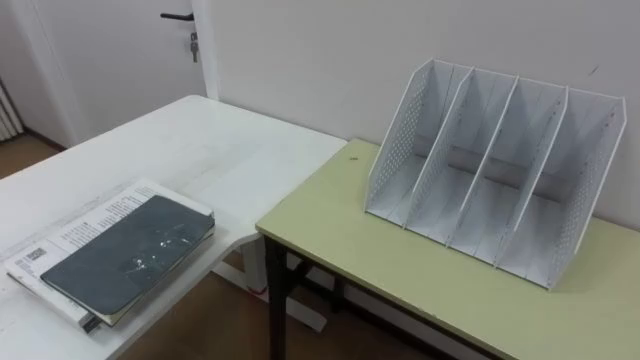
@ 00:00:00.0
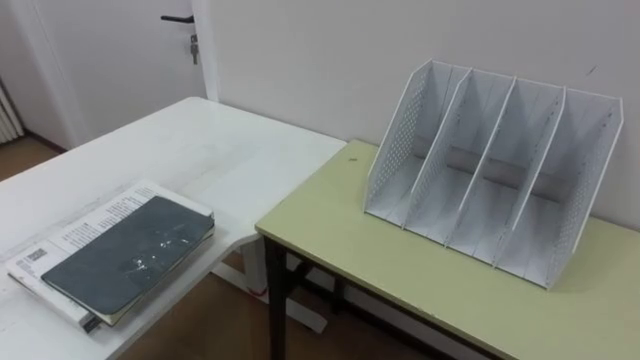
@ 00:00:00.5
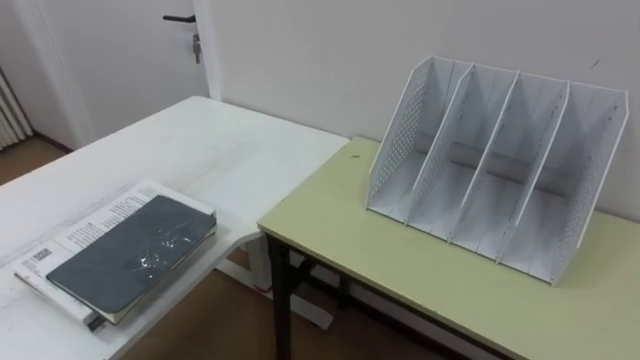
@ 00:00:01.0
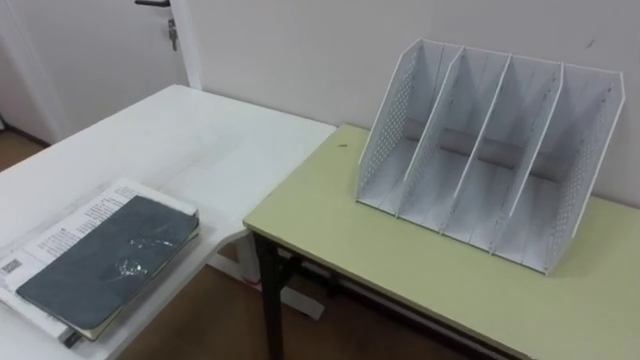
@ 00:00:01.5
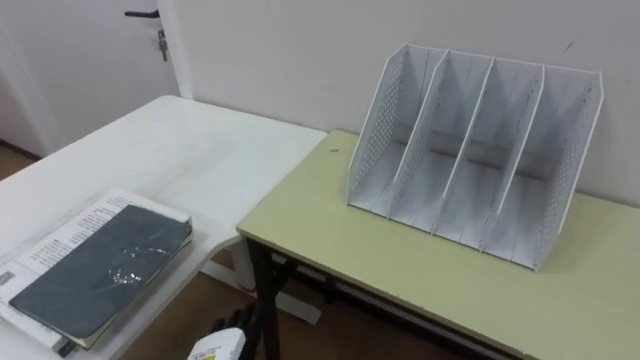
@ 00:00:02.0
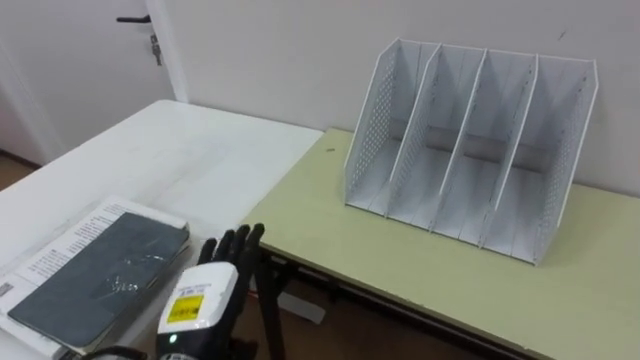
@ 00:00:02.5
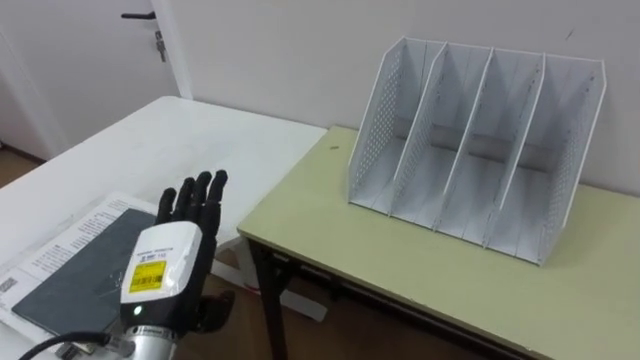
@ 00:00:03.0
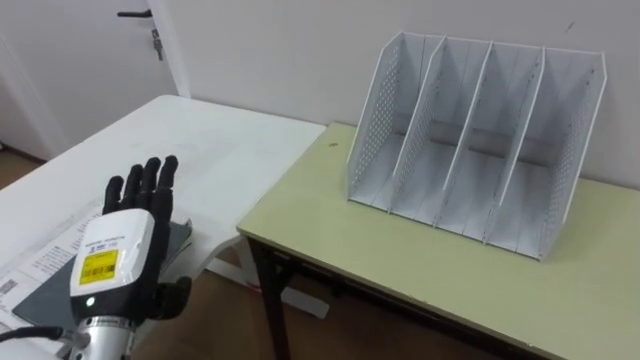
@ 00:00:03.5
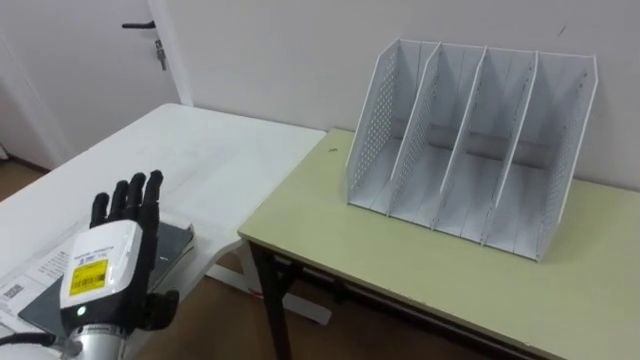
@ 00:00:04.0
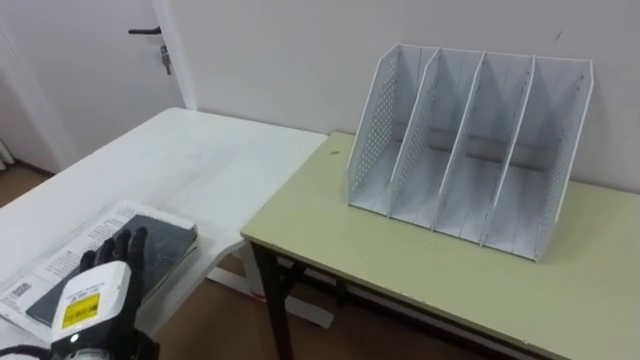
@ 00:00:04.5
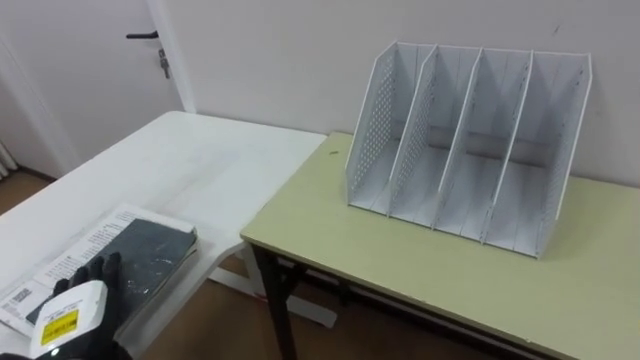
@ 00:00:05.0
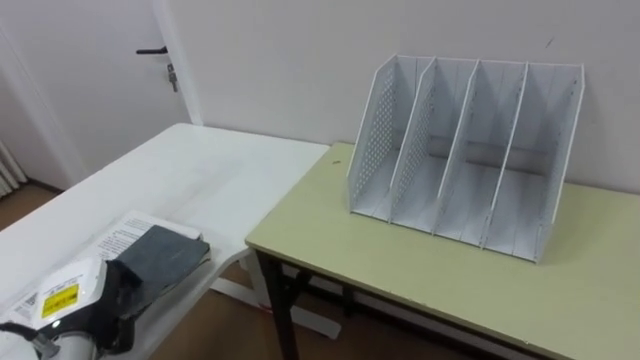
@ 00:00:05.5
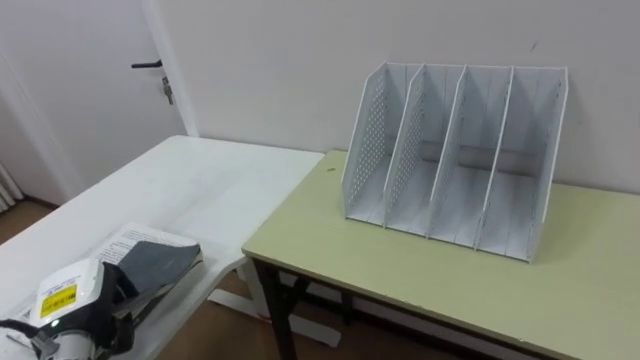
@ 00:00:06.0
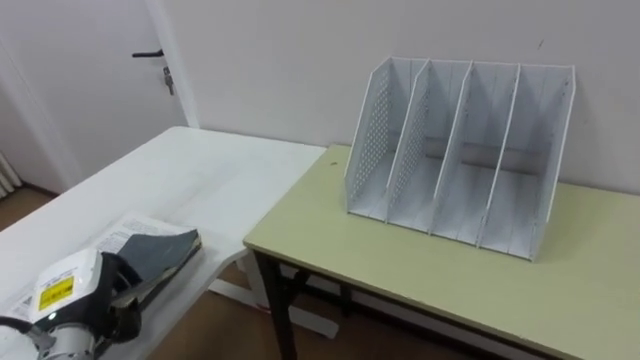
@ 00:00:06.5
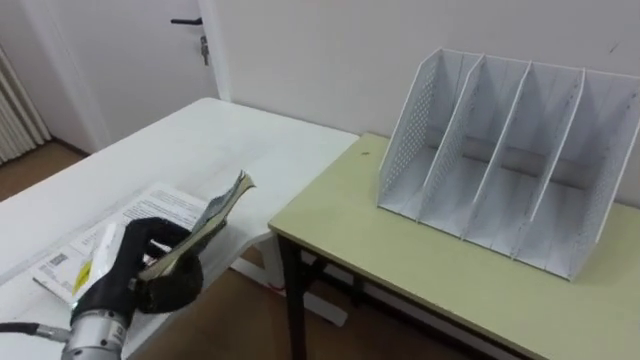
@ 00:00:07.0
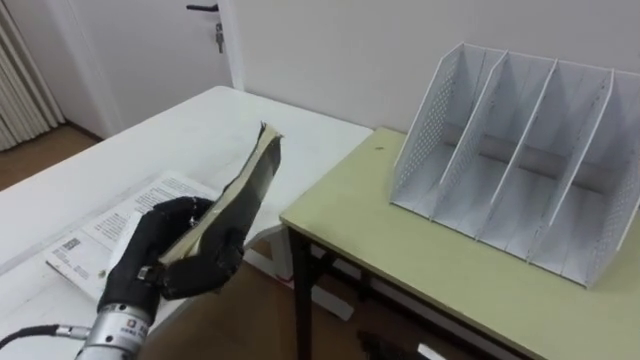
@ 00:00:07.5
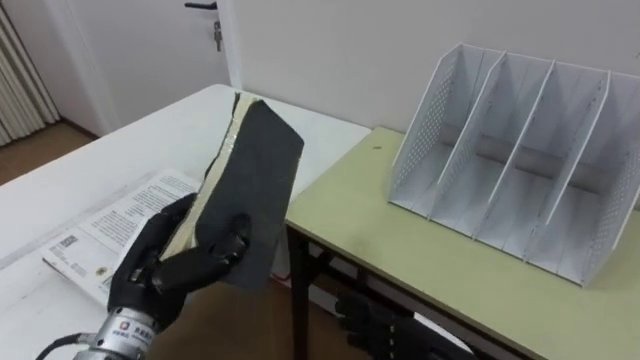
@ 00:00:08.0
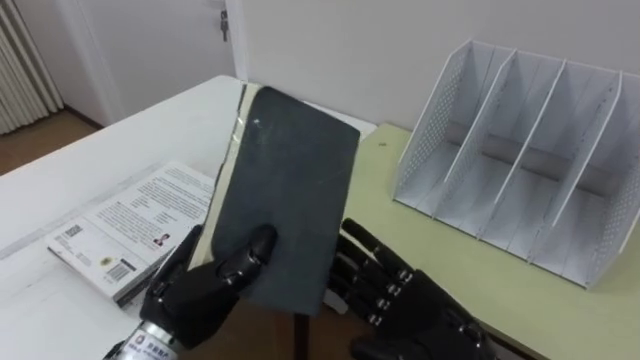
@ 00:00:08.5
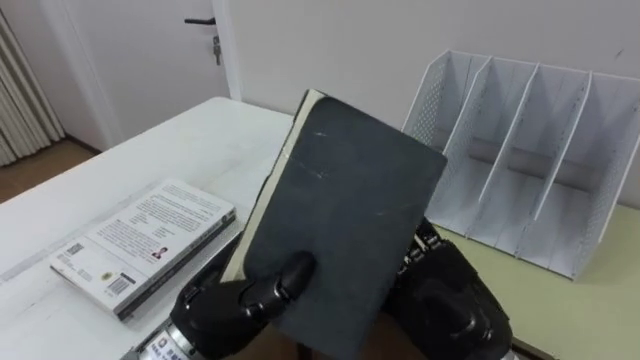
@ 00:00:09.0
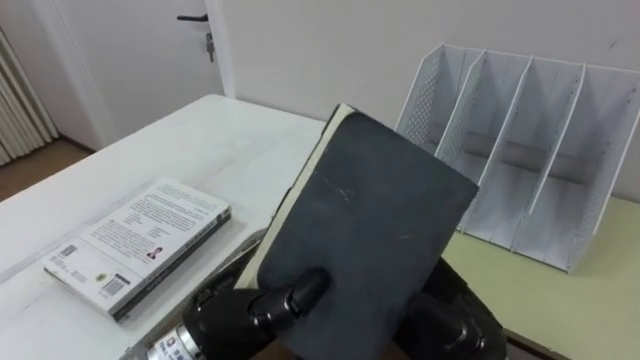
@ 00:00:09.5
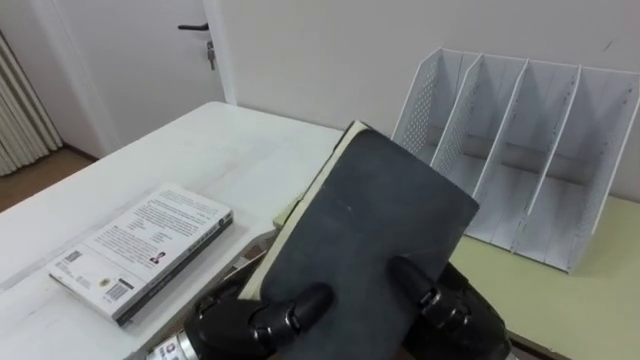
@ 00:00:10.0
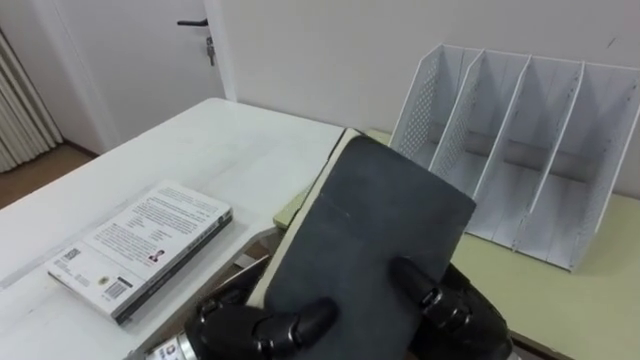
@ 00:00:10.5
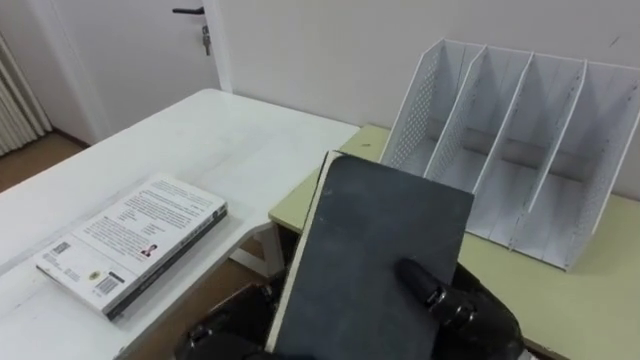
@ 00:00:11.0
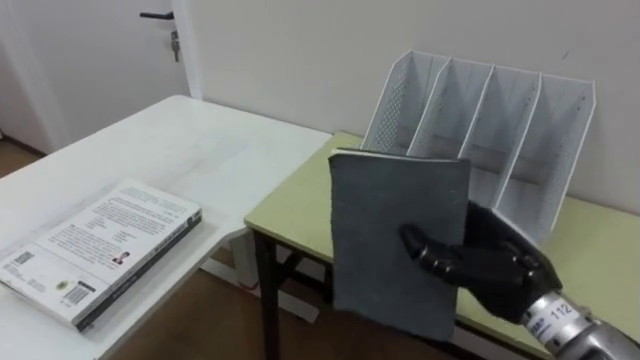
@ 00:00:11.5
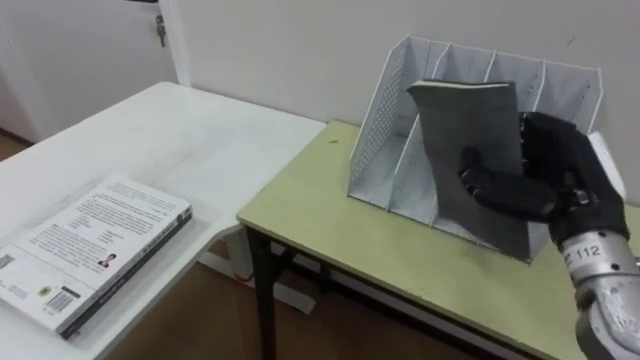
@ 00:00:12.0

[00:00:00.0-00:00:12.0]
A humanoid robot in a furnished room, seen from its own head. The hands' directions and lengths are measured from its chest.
Task of the whole recording: Put the books on the table onto the bookshelf.
00:00:02.0 to 00:00:04.0: The left hand moves upward and to the left, some 15 cm.
00:00:04.0 to 00:00:06.0: The left hand is displaced downward and to the left by about 10 cm, and closes its fingers.
00:00:06.0 to 00:00:08.0: The left hand travels to the right and upward by roughly 15 cm.
00:00:08.0 to 00:00:10.0: The right hand travels upward by some 10 cm, and closes its fingers; the left hand goes roughly 10 cm to the right.
00:00:10.0 to 00:00:12.0: The right hand travels to the right, forward and upward by some 15 cm.

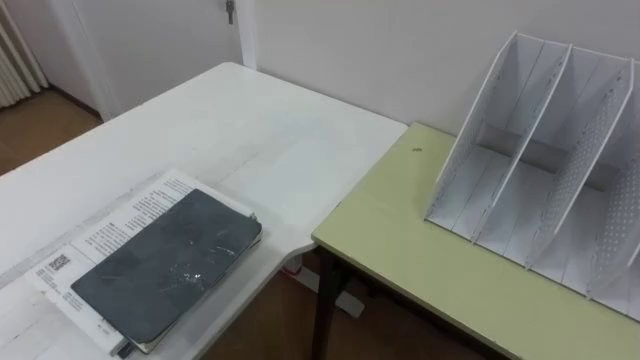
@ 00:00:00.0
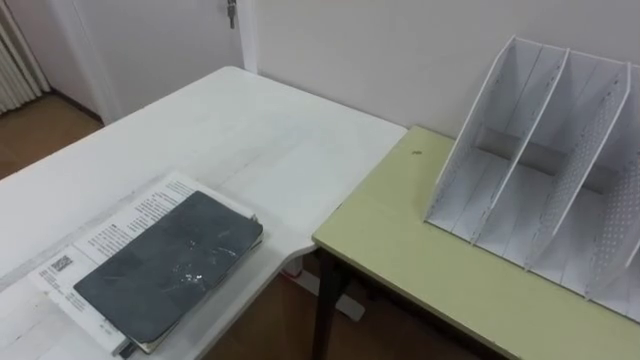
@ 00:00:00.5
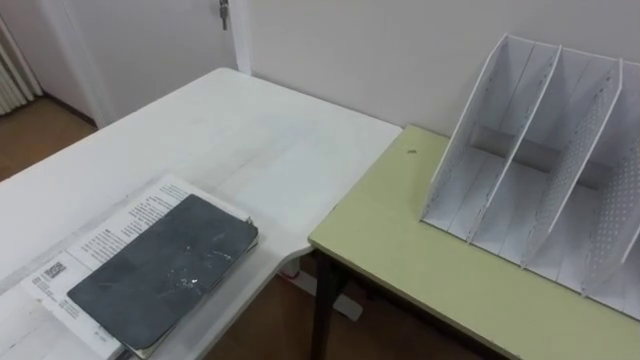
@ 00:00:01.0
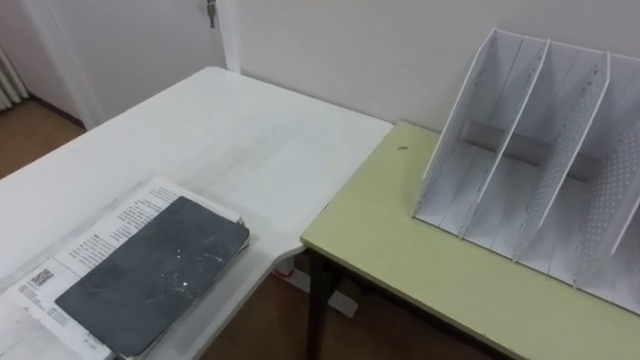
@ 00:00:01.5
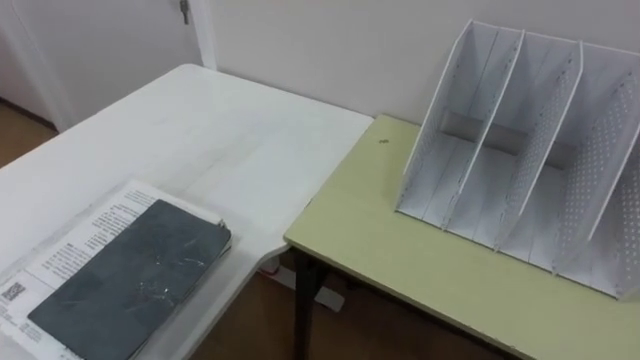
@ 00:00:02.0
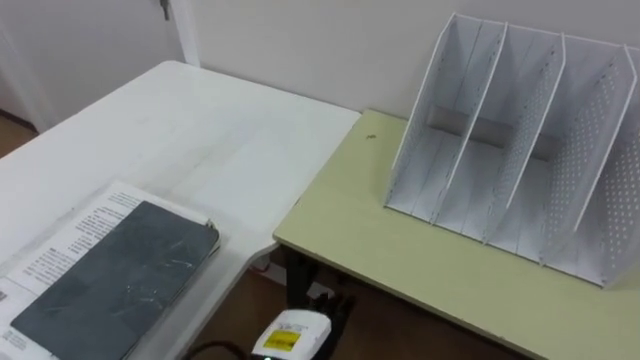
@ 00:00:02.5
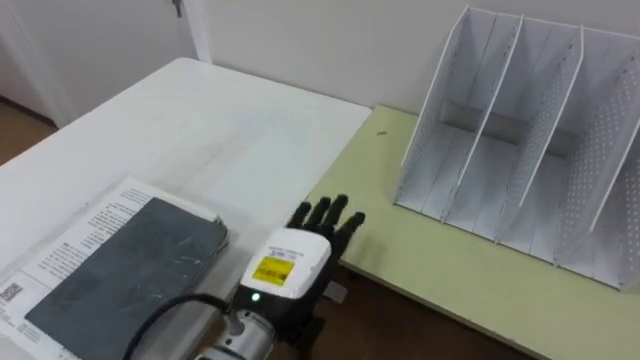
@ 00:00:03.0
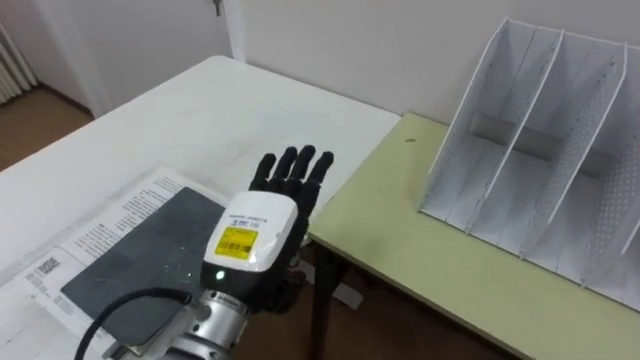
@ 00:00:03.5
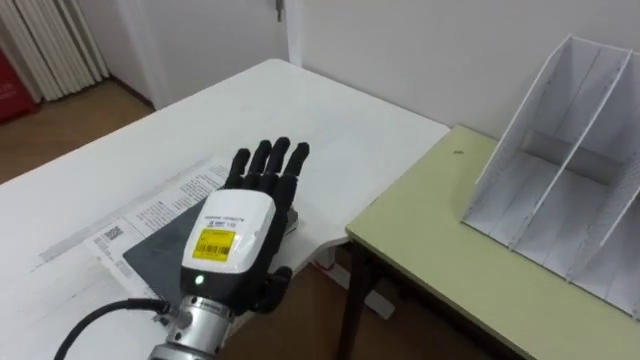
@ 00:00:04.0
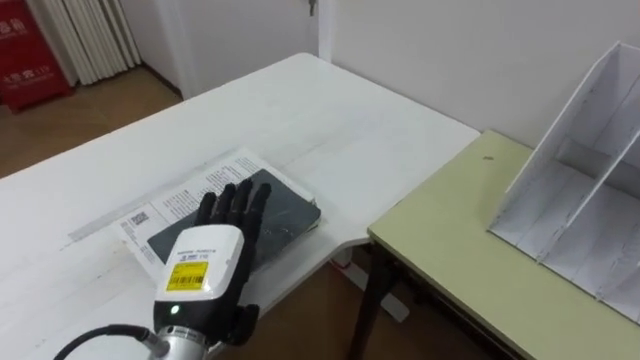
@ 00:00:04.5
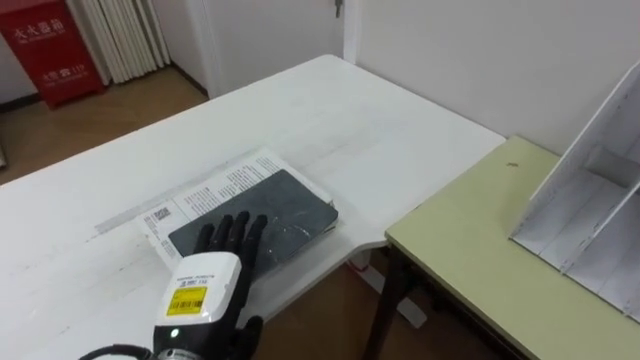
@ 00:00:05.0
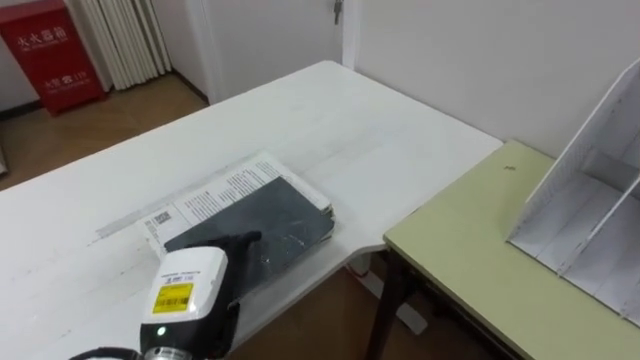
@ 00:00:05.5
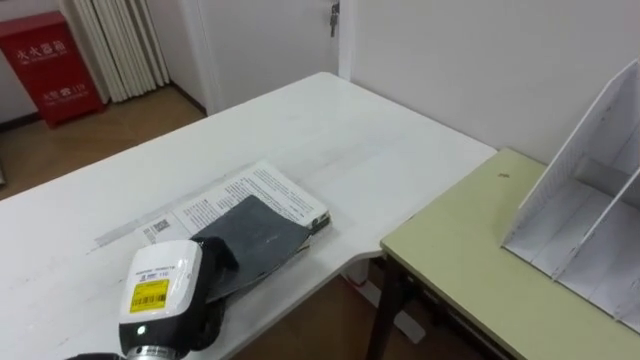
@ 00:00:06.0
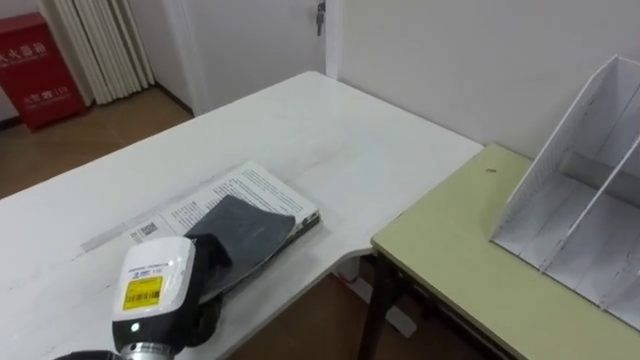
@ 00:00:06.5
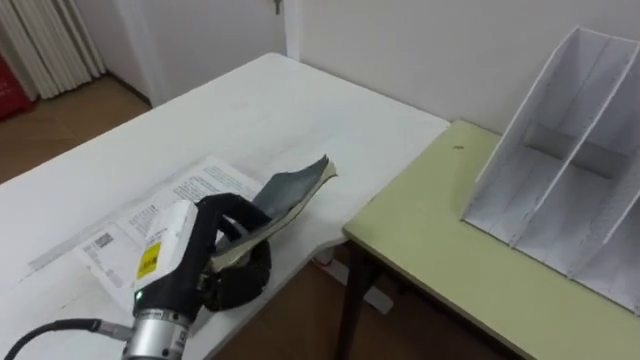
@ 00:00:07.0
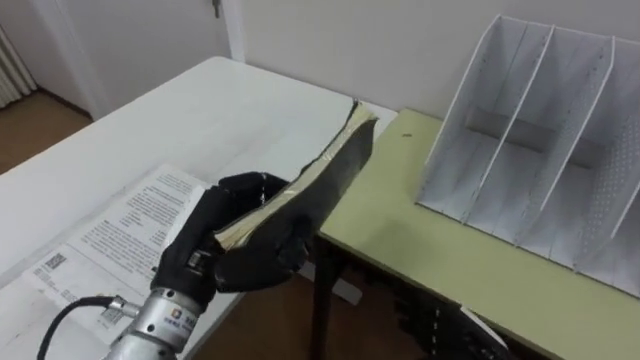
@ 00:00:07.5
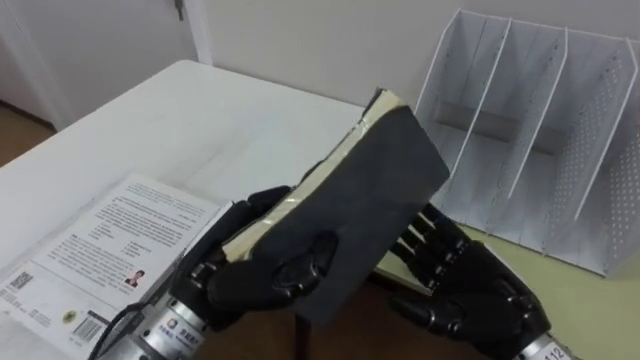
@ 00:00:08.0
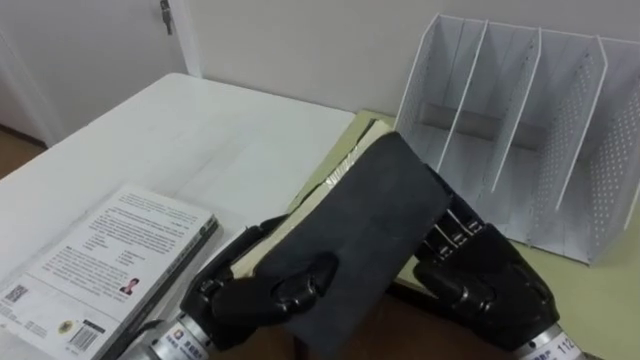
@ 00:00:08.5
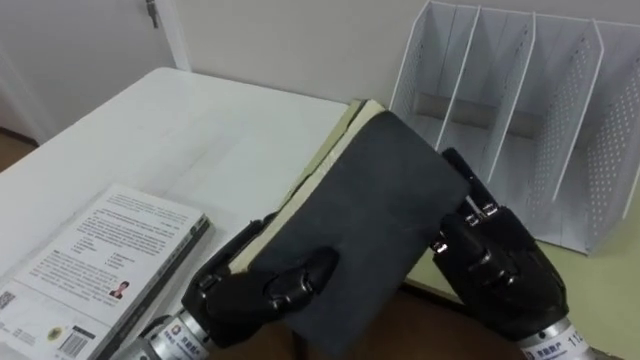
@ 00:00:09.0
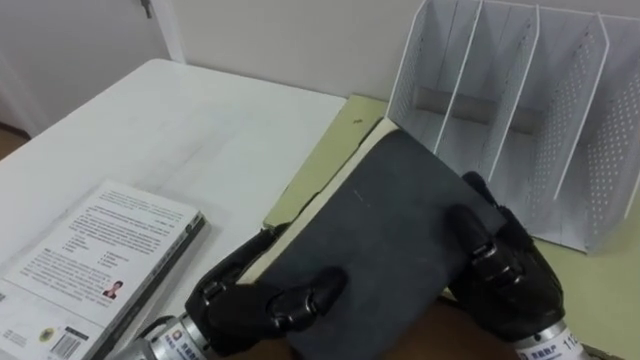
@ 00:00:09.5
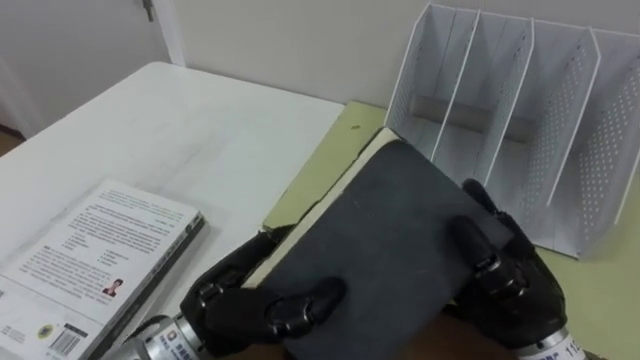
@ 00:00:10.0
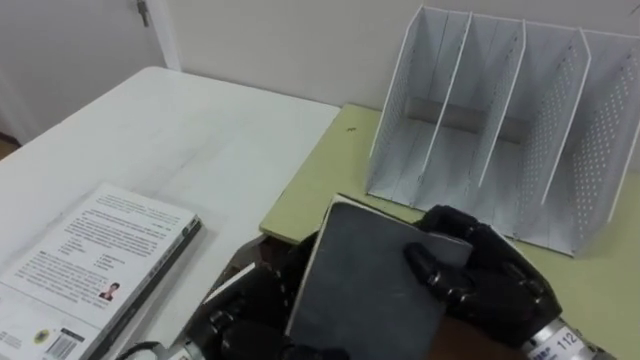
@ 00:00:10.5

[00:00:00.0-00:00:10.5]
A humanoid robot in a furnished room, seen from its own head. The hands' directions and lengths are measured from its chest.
Task of the whole recording: Put the books on the table onto the bookshelf.
00:00:04.0 to 00:00:06.5: The left hand heads to the left and downward, covering some 10 cm, and closes up.
00:00:06.5 to 00:00:08.5: The robot turns to its right by some 15 degrees. The left hand heads to the right, covering about 10 cm.
00:00:08.5 to 00:00:10.5: The left hand opens up; the right hand closes its fingers.
